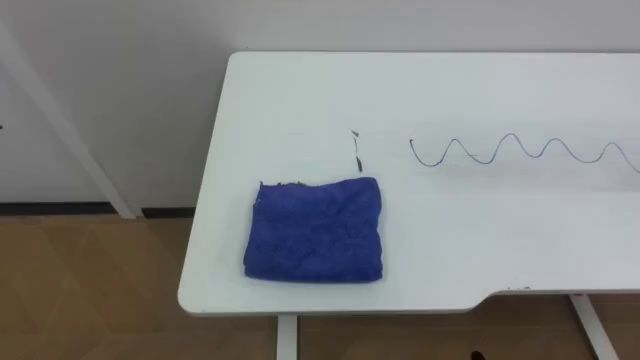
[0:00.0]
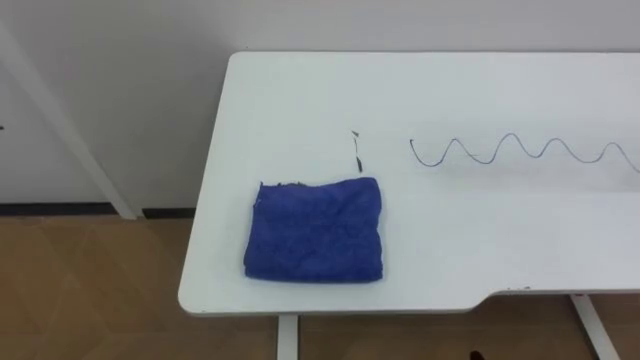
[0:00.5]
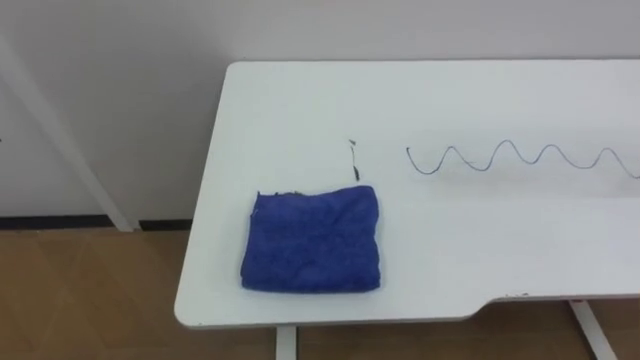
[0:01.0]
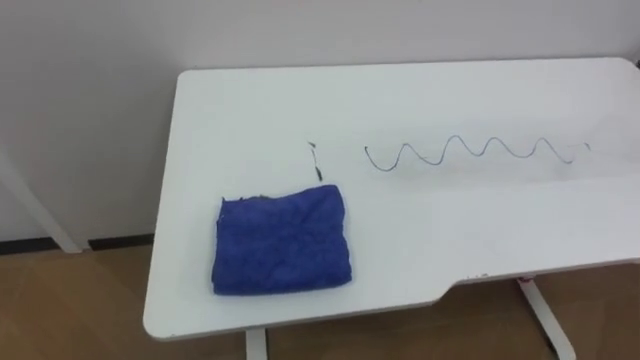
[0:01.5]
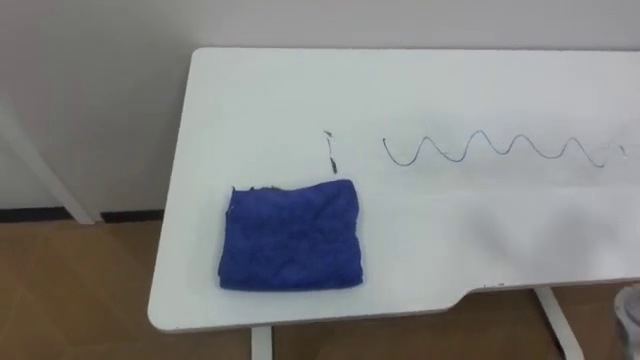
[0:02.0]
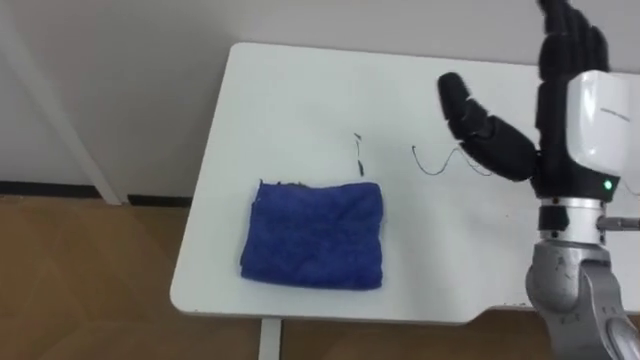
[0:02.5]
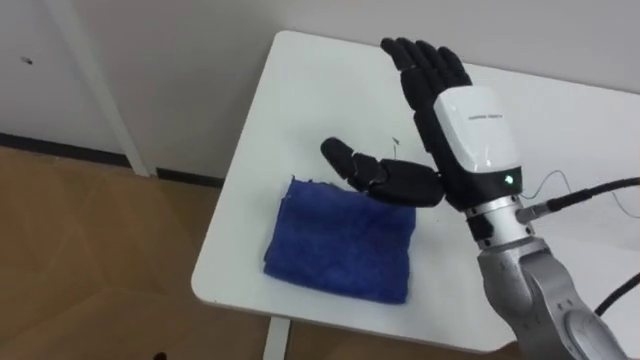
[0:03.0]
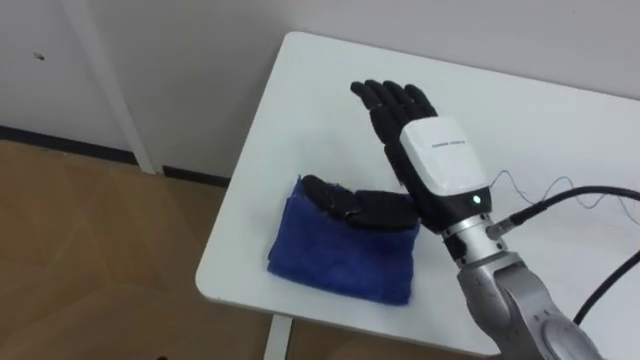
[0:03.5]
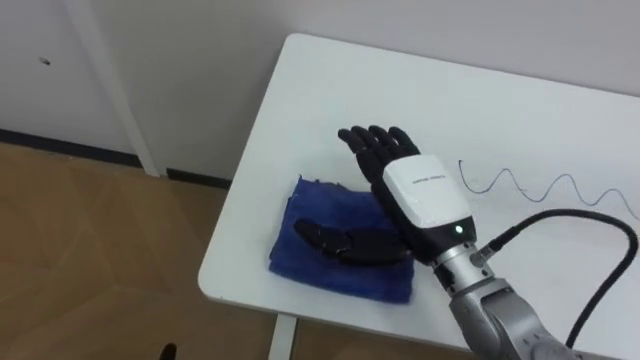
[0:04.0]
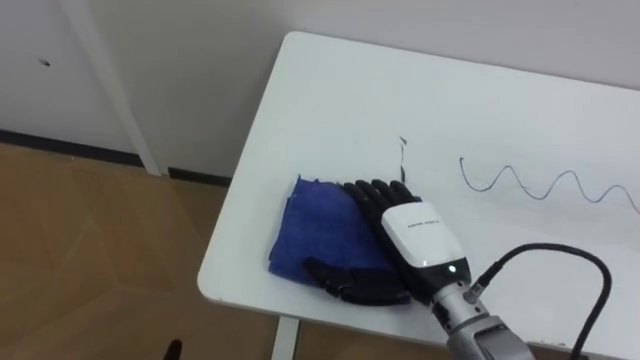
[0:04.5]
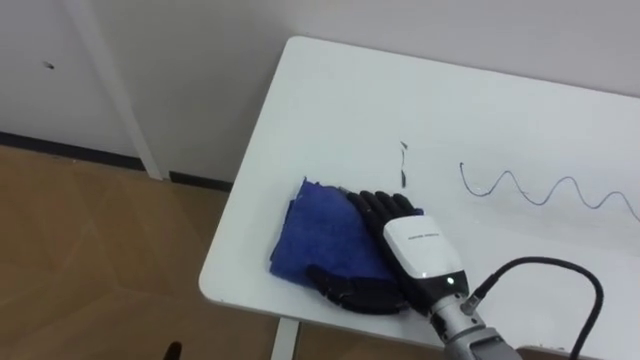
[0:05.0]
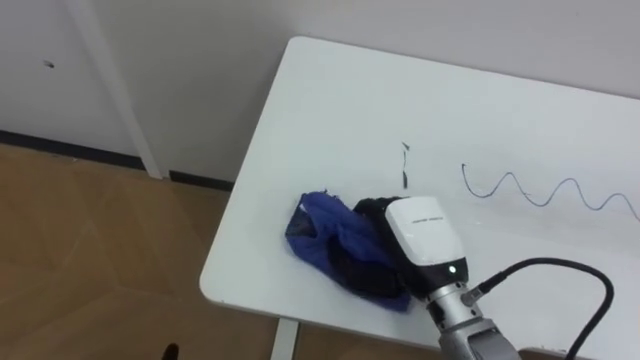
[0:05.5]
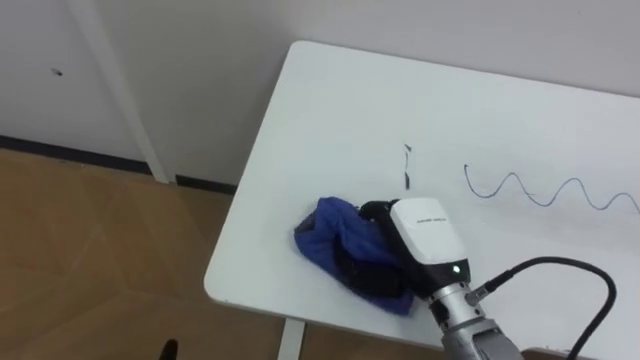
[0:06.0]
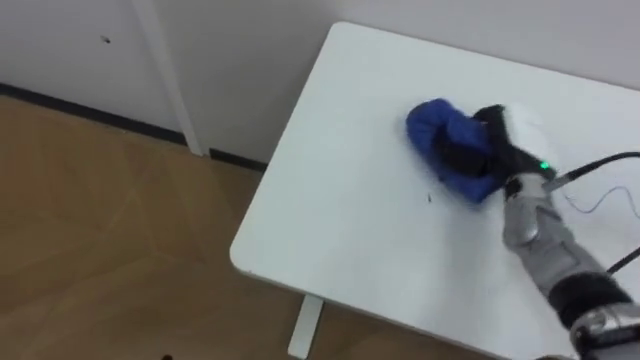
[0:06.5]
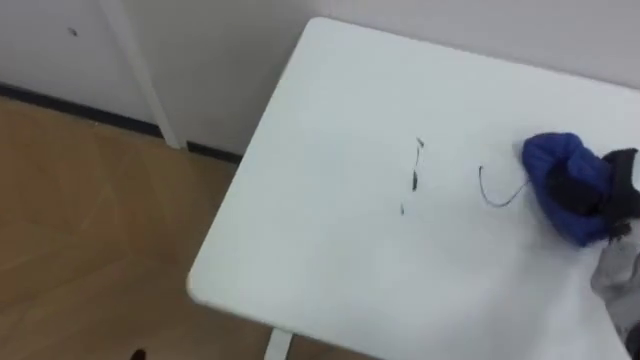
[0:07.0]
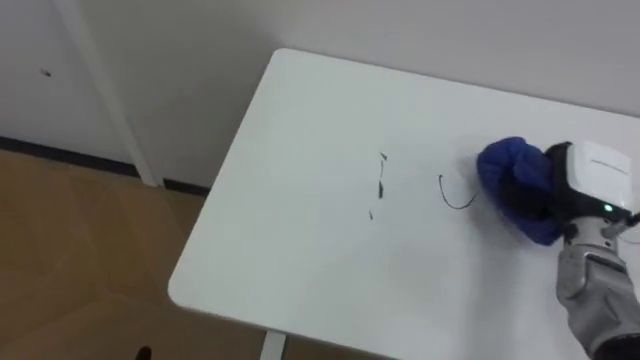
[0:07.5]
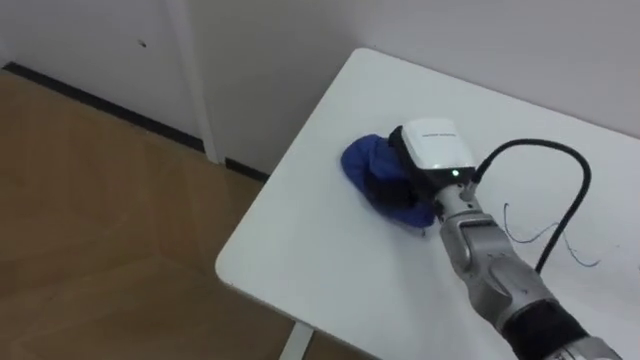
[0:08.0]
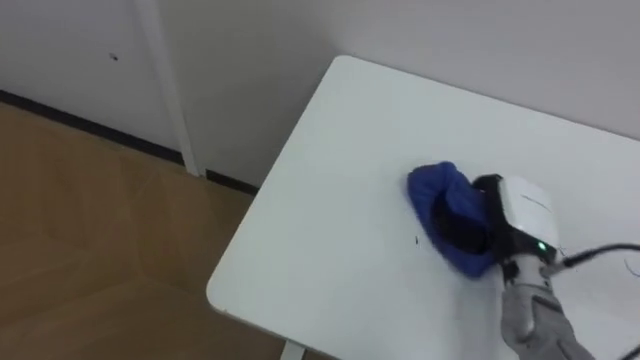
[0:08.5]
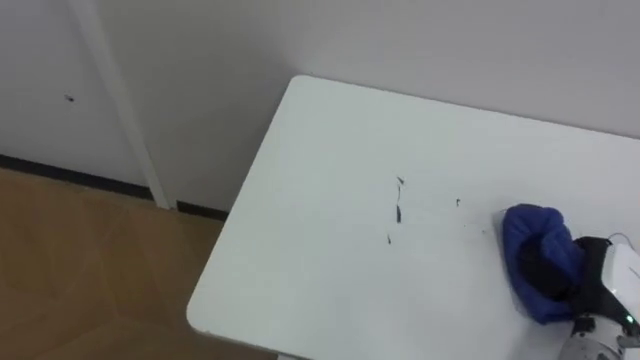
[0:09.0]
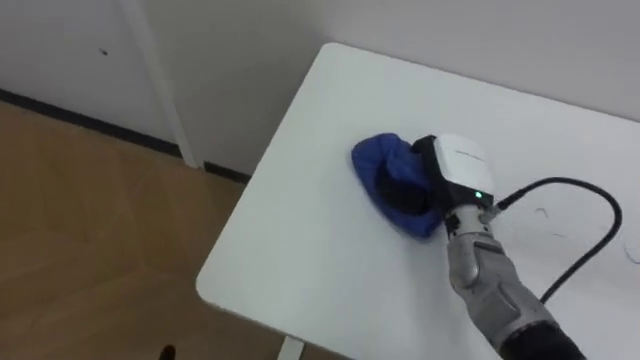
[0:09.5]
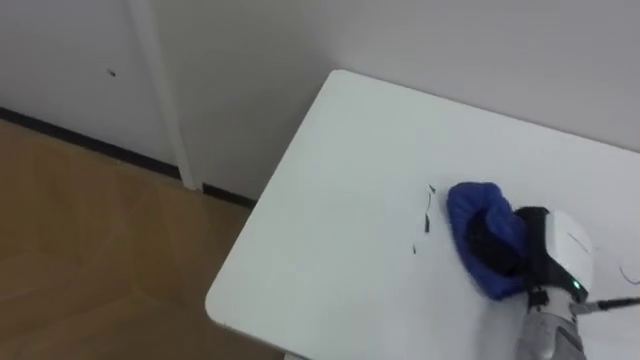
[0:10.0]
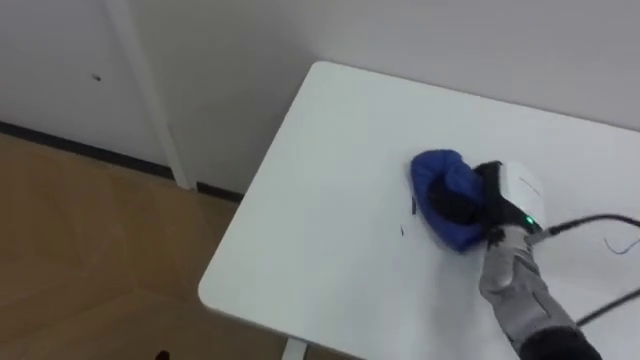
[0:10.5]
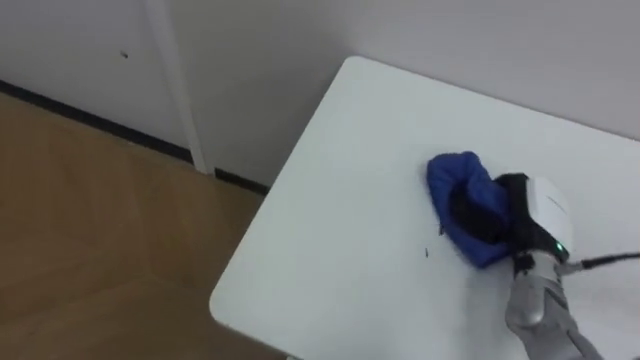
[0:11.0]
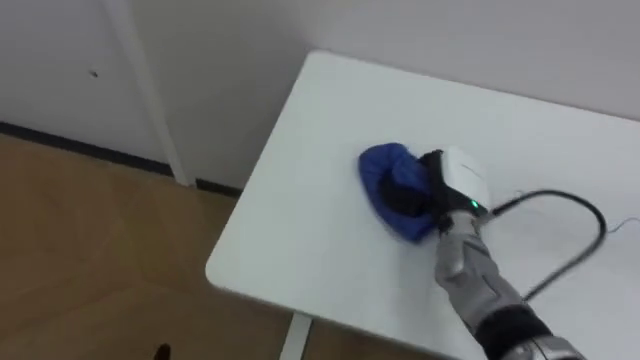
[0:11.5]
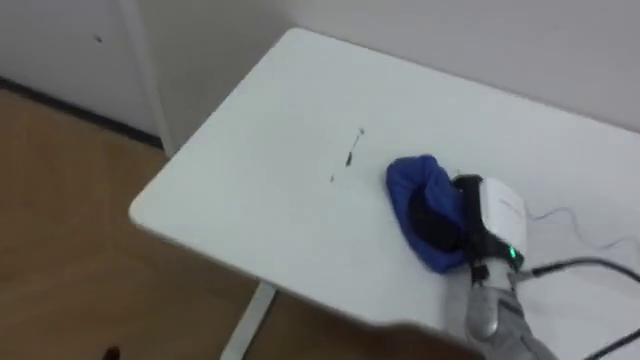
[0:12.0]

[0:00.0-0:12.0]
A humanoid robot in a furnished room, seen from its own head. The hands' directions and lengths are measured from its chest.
Task of the whole recording: Wipe the blue pen marks off the table with the rag.
0:04.0 to 0:06.0: The right hand is displaced downward by some 5 cm, and closes.
0:06.0 to 0:08.0: The right hand goes roughly 10 cm forward, and travels to the right and back again, some 25 cm each way.
0:08.0 to 0:10.0: The right hand goes left and right, about 20 cm each way, reversing 2 times.
0:10.0 to 0:12.0: The right hand goes approximately 10 cm to the left.

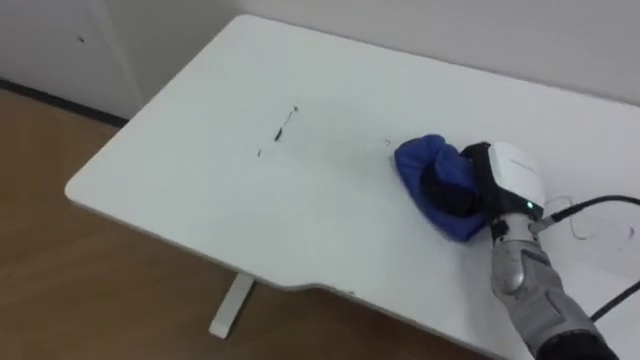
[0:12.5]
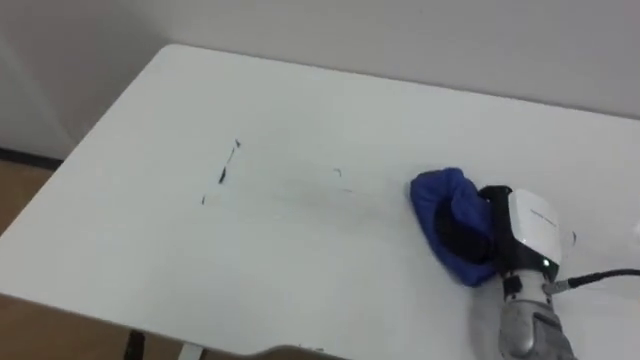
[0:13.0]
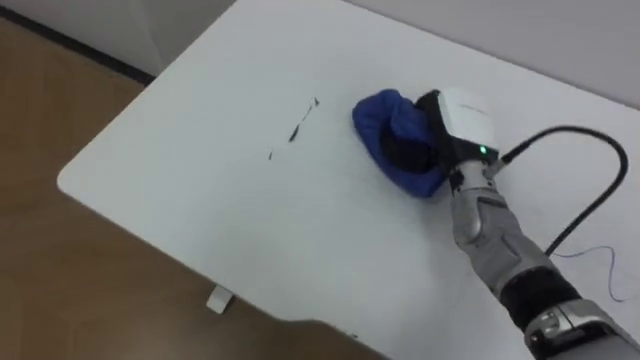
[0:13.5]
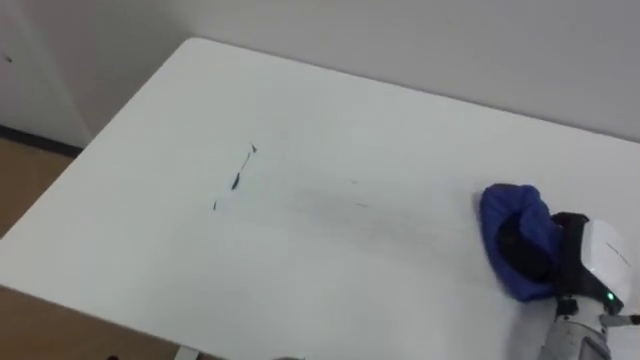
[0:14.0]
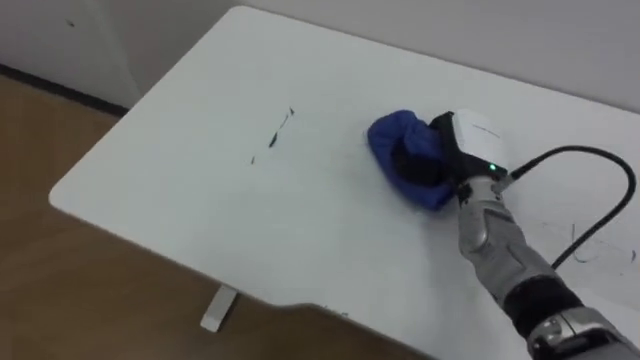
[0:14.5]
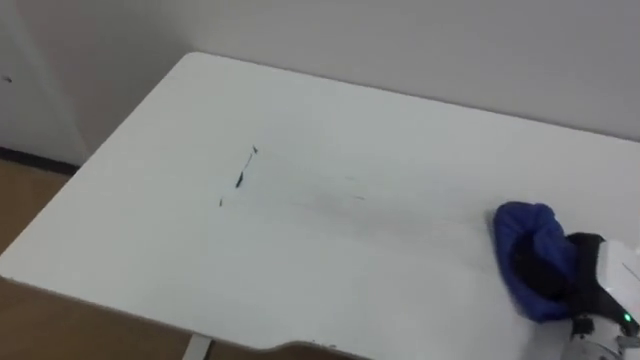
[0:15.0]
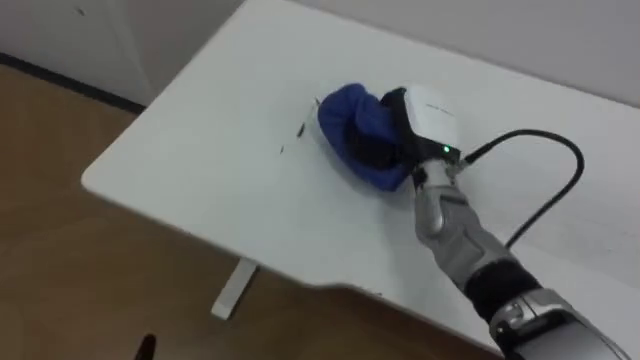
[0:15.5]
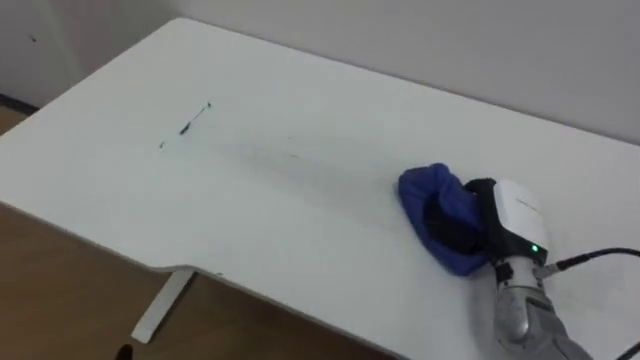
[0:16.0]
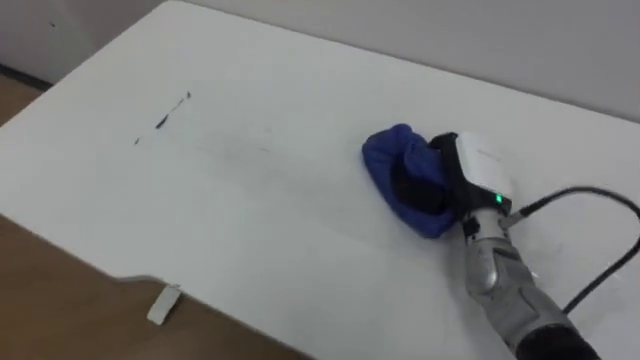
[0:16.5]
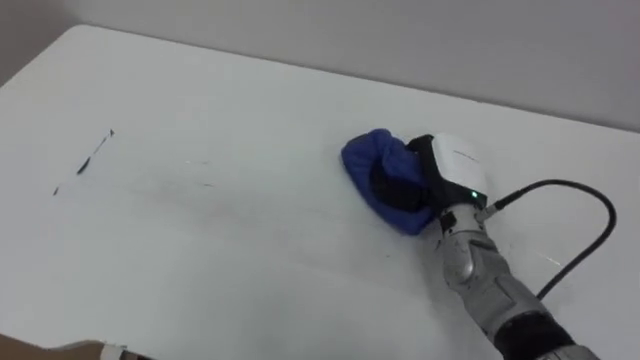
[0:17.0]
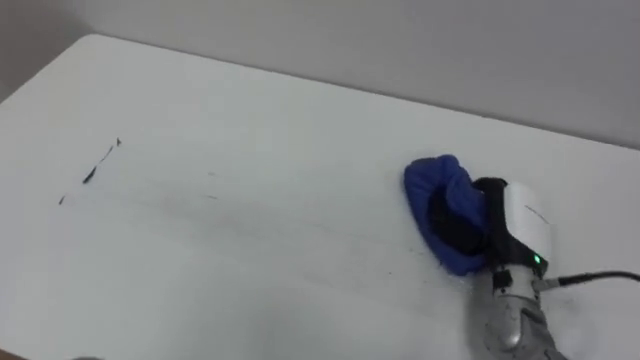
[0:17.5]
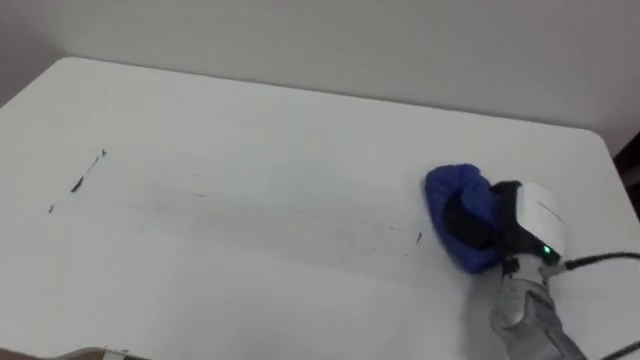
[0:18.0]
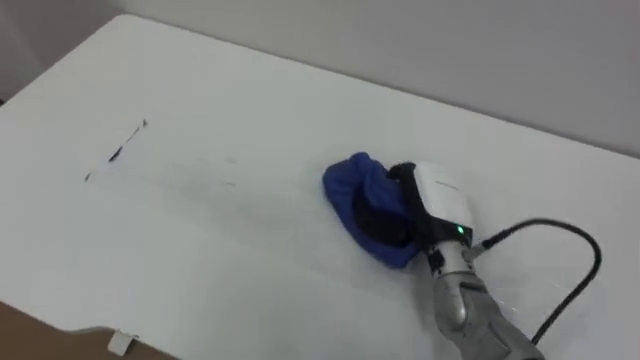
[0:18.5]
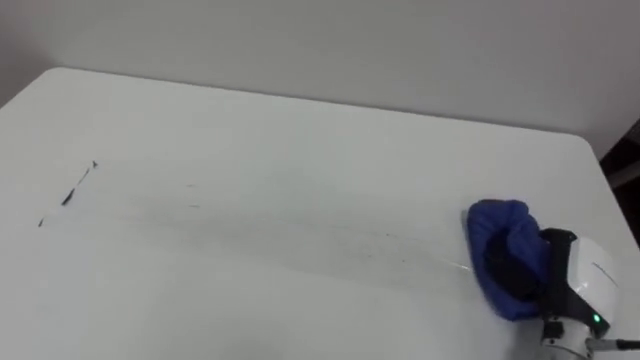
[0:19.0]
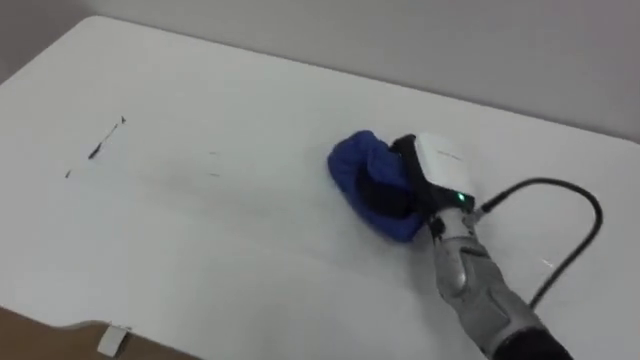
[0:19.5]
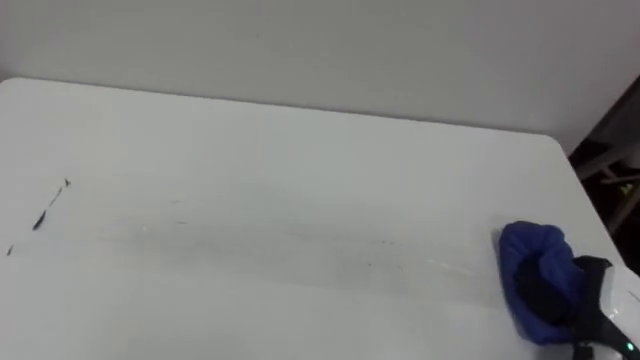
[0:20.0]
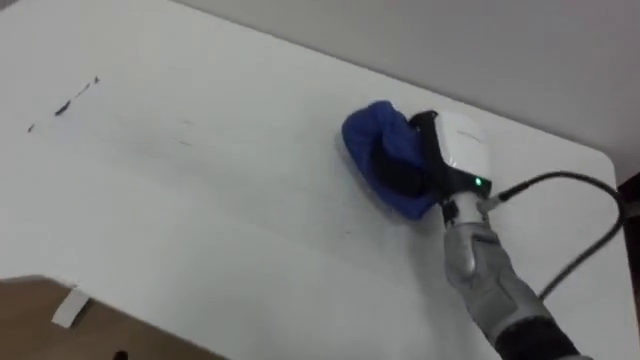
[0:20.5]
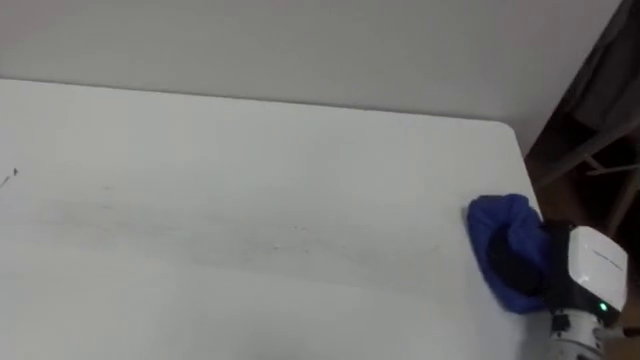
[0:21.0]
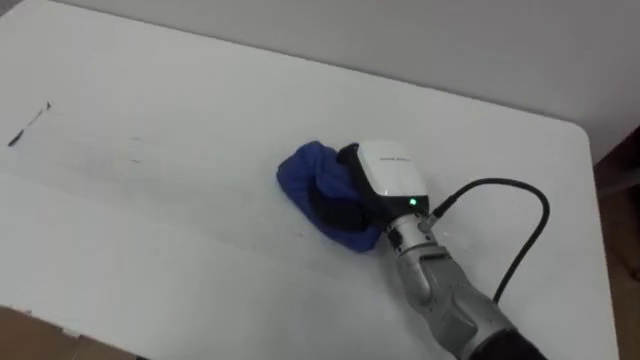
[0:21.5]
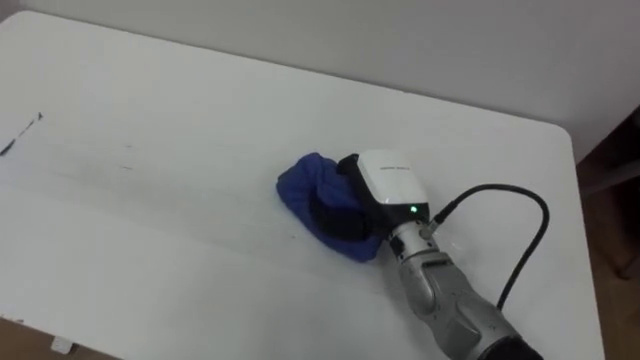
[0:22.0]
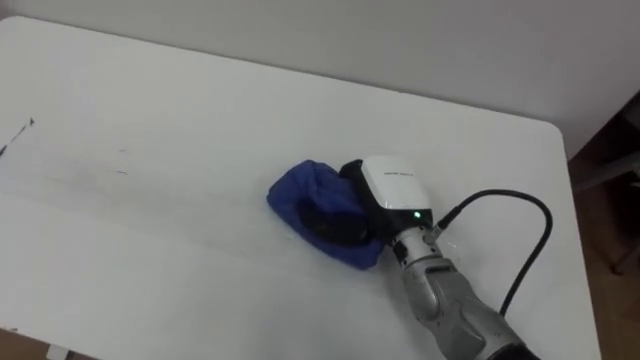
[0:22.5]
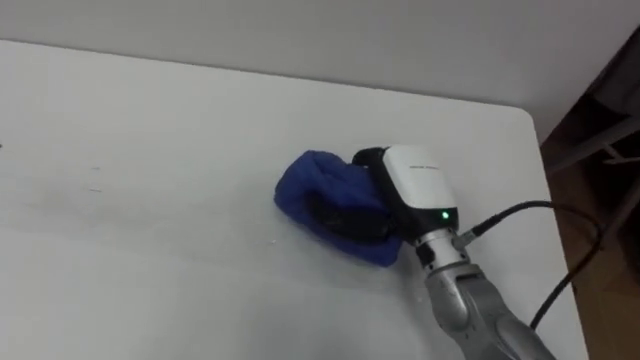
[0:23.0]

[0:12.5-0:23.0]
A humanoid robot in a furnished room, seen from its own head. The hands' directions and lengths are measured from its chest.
Task of the whole recording: Wipe the blue pen marks off the table with the rag.
0:12.5 to 0:14.5: The right hand goes left and right, approximately 15 cm each way, reversing 2 times.
0:14.5 to 0:16.5: The right hand moves left and right over about 20 cm, changing direction 3 times.
0:16.5 to 0:19.0: The right hand goes left and right, some 15 cm each way, reversing 2 times.
0:19.0 to 0:21.0: The right hand moves left and right over roughly 20 cm, changing direction 3 times.
0:21.0 to 0:23.0: The right hand heads to the left and upward, covering some 25 cm.
